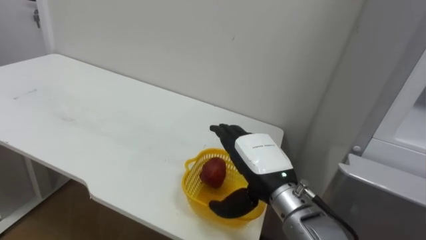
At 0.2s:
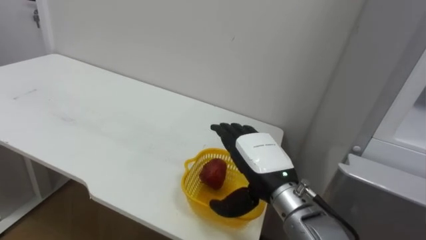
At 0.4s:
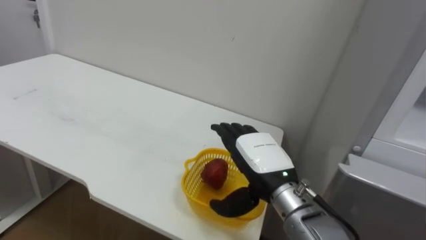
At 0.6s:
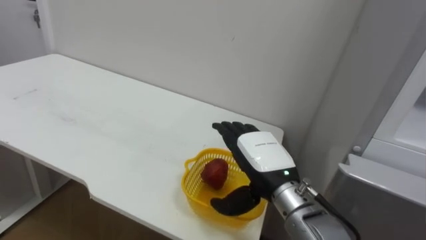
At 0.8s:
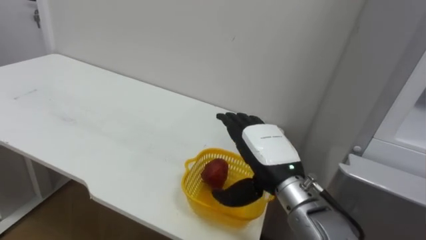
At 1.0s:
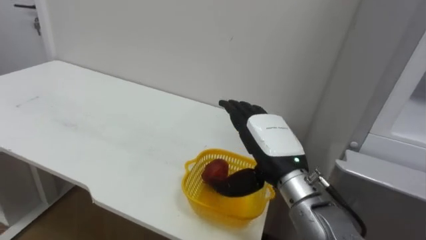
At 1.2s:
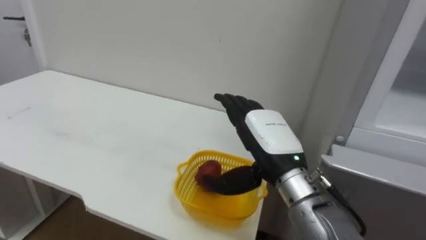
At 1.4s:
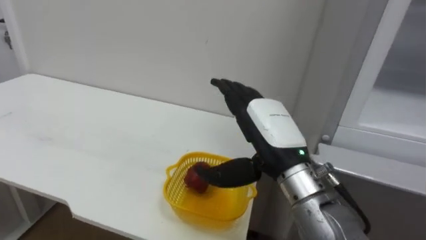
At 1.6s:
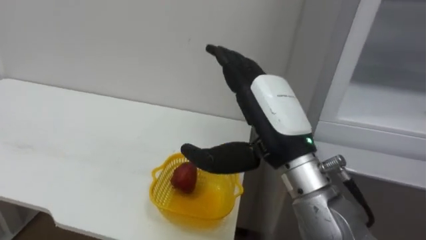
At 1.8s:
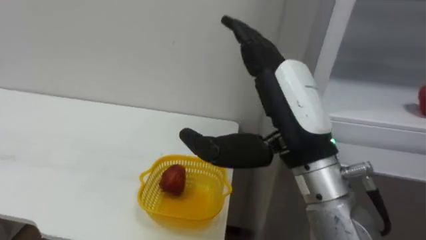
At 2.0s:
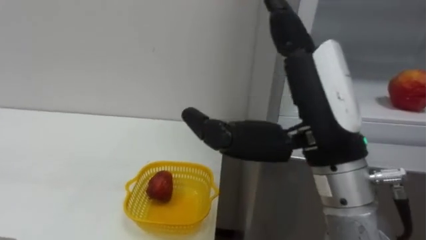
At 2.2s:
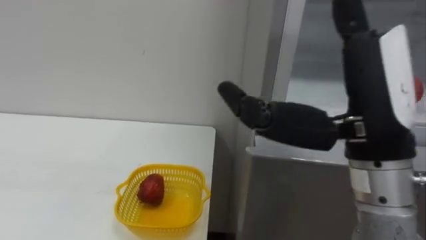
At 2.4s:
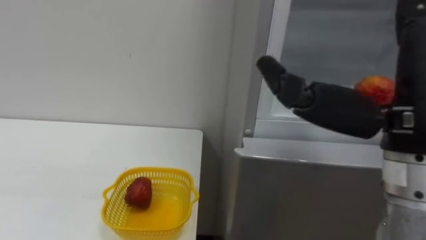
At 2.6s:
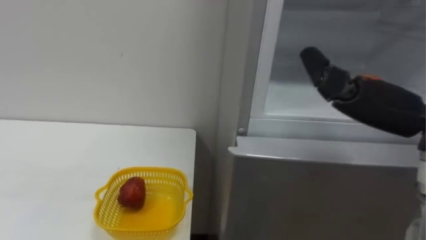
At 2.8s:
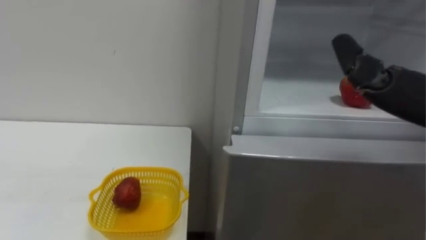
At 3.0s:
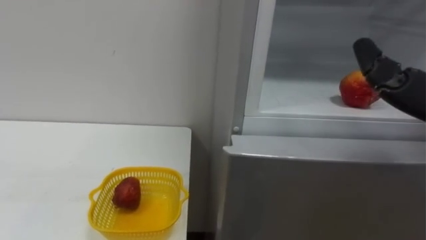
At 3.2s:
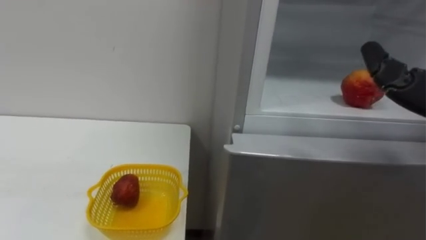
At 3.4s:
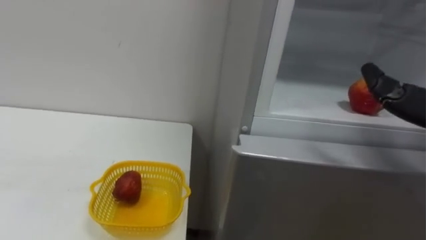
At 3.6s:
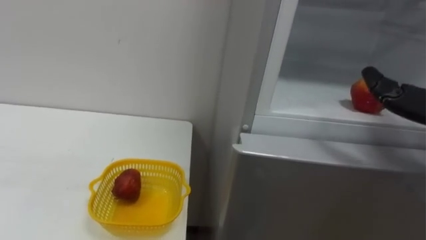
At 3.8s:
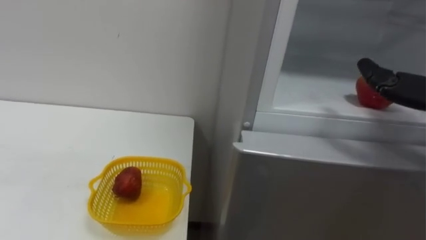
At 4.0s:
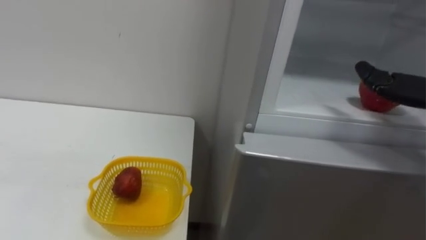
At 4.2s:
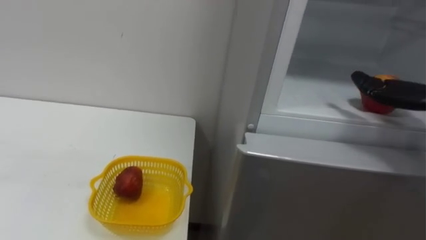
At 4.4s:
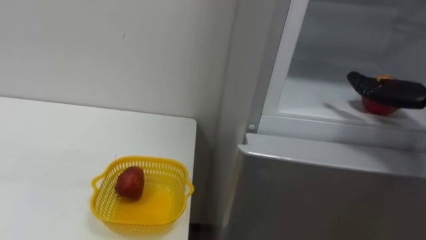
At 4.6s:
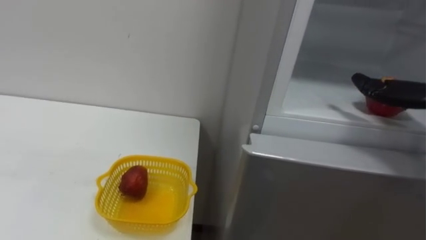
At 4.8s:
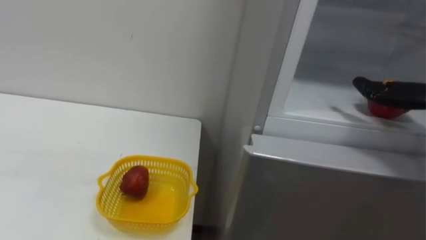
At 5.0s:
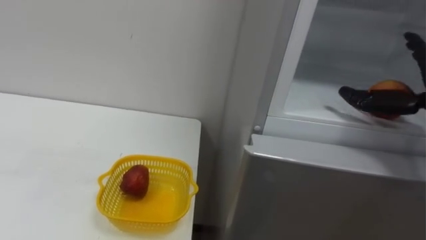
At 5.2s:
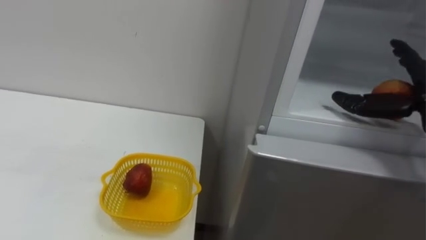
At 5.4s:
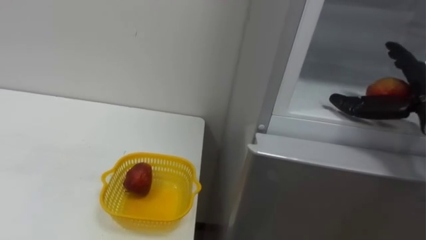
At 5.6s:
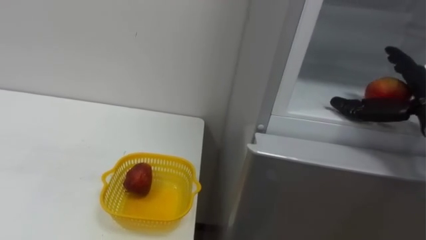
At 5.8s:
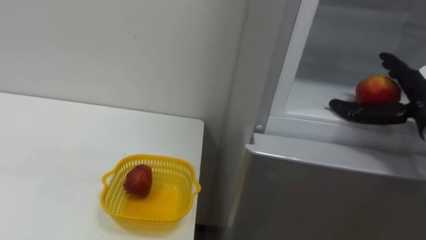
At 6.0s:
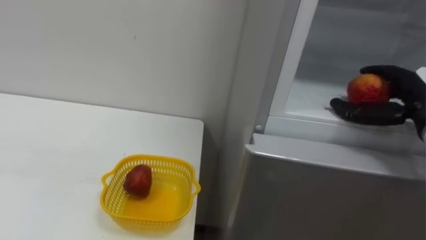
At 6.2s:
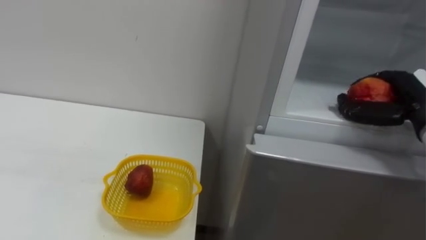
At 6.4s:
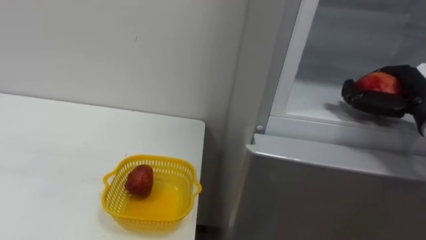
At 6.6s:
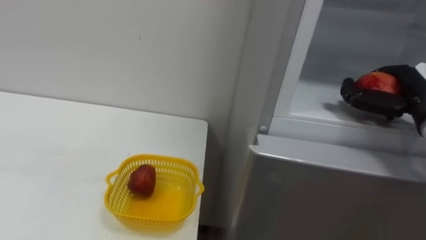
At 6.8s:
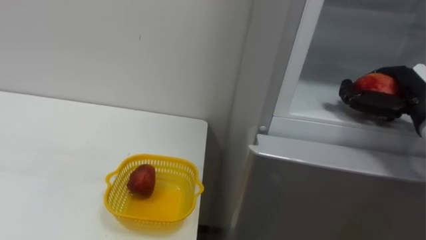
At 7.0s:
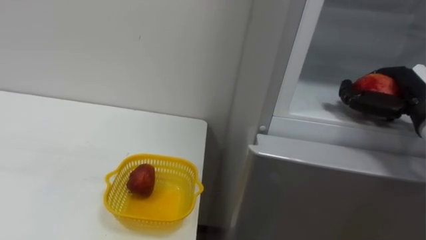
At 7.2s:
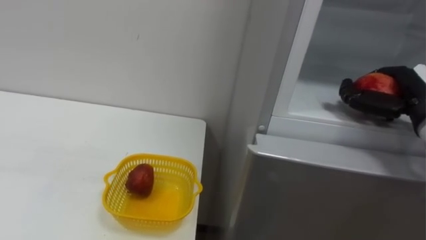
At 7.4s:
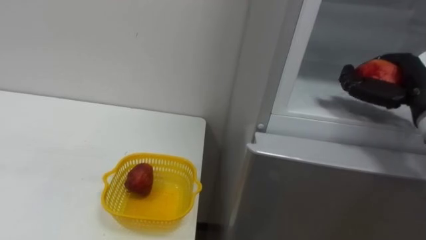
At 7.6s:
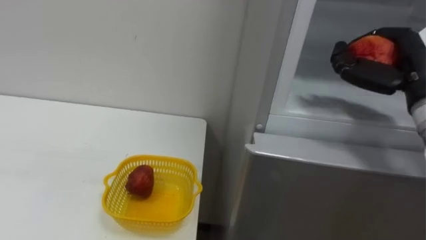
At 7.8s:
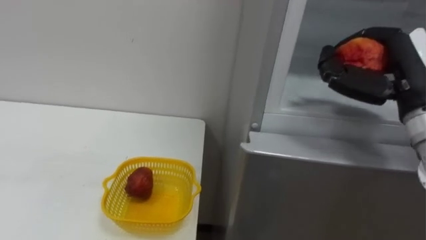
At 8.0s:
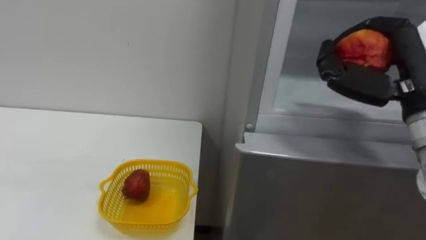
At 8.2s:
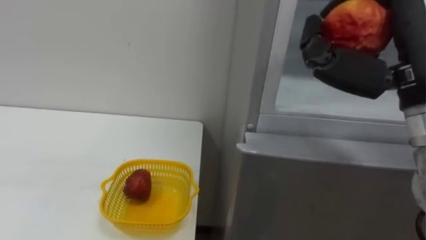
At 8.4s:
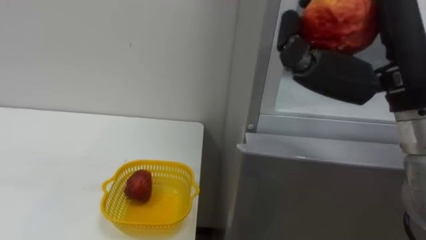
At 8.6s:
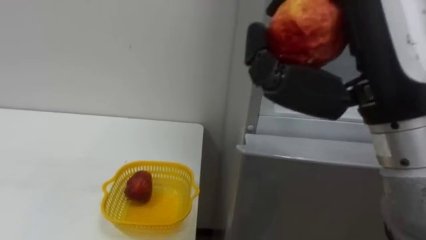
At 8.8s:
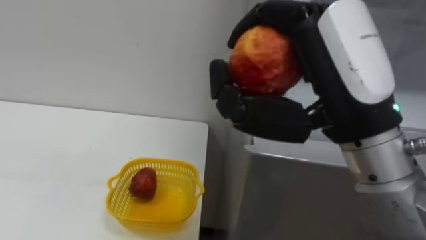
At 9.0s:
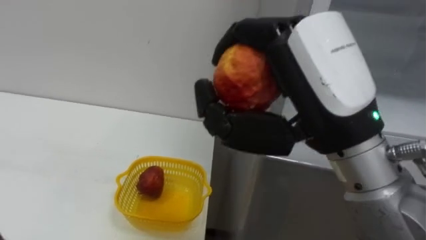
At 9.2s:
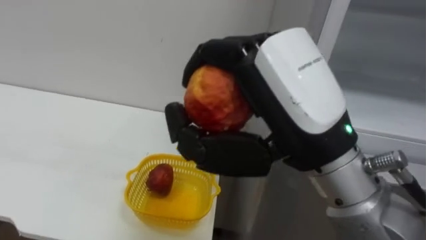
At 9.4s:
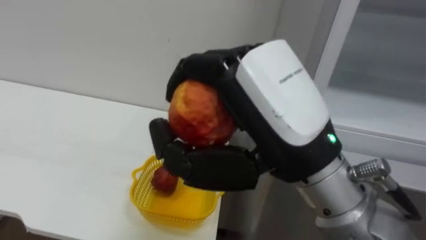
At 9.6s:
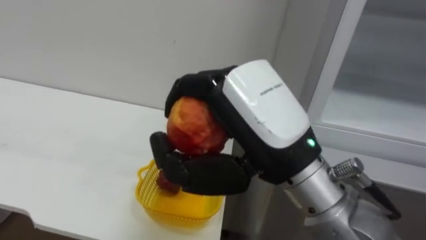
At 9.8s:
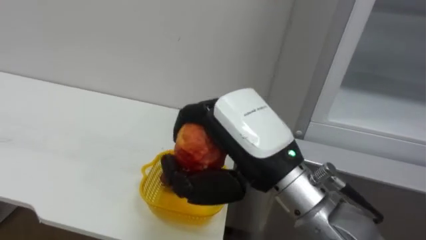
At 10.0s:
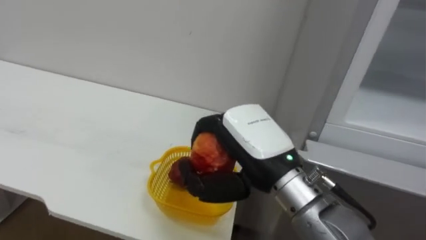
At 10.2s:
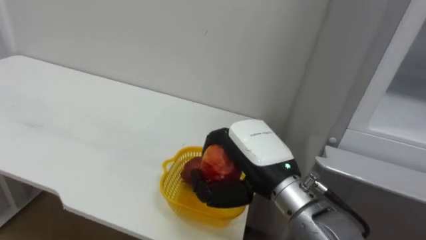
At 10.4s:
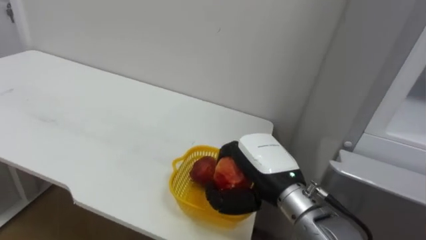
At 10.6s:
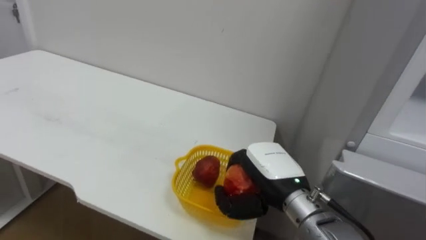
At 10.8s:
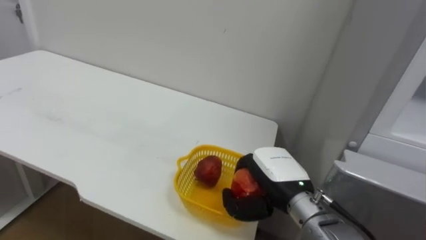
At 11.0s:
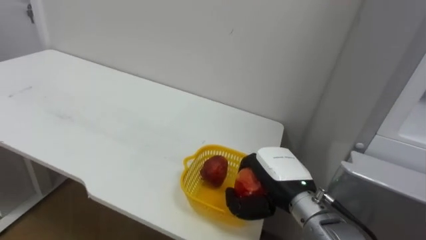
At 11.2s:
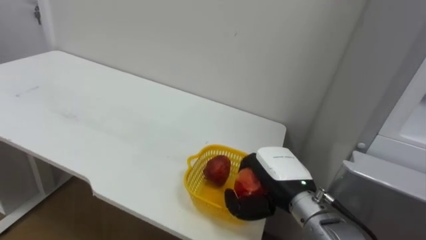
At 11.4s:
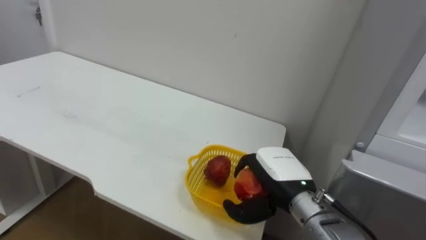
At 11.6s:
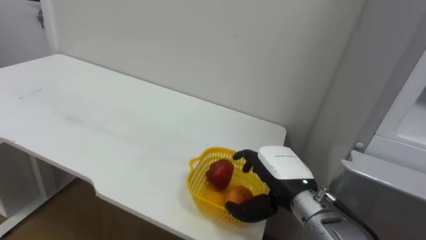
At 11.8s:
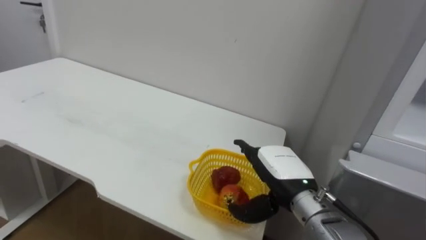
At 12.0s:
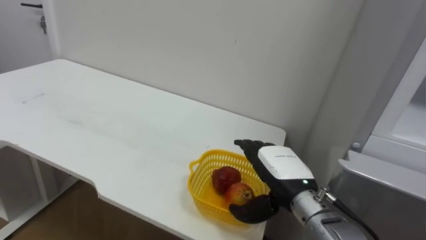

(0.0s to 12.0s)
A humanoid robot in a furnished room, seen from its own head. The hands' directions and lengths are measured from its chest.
Task of the whole recording: Open the refrigerator door, take out the apple and the pomegranate, place them in the fruit basket on the left, and close the refrigerator door.
0.0s - 1.6s: The right hand heads upward, covering some 10 cm.
6.0s - 7.6s: The right hand heads upward, covering roughly 5 cm, and closes.
7.6s - 9.0s: The right hand moves to the left and backward, approximately 20 cm.
9.0s - 10.4s: The right hand travels downward and forward by about 20 cm.
10.4s - 12.0s: The right hand changes place by approximately 5 cm, and opens.

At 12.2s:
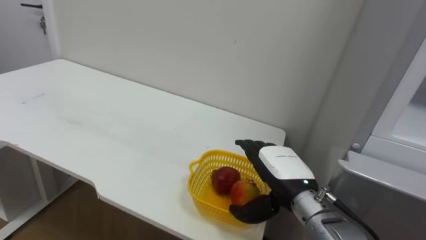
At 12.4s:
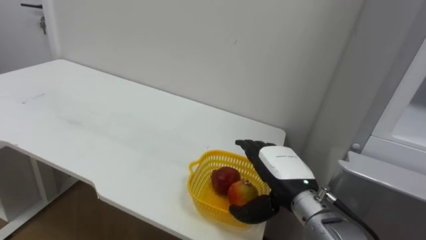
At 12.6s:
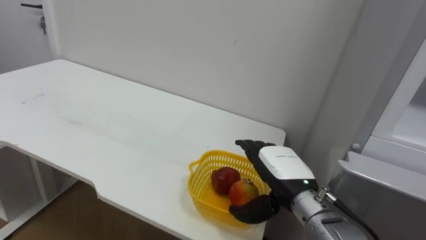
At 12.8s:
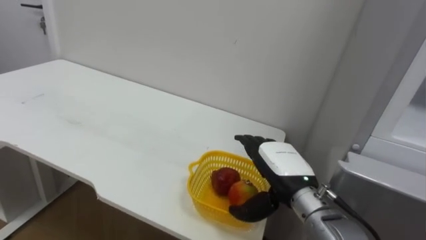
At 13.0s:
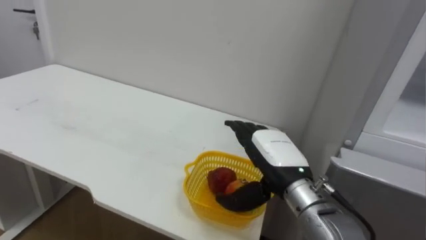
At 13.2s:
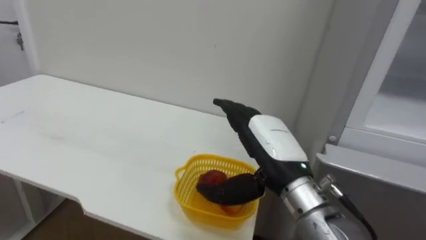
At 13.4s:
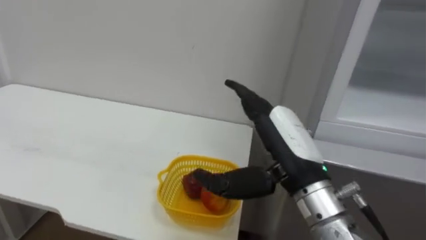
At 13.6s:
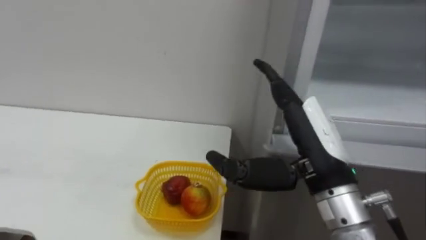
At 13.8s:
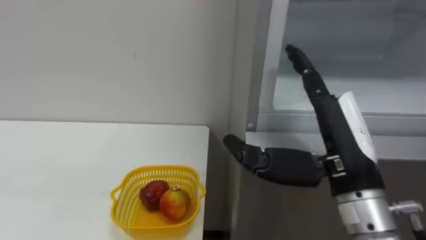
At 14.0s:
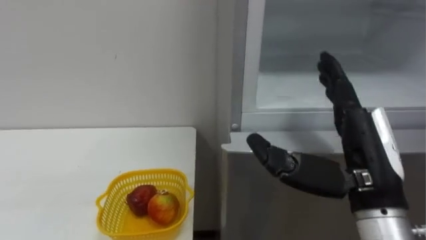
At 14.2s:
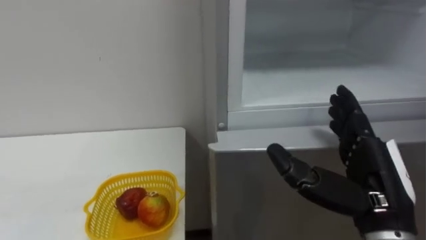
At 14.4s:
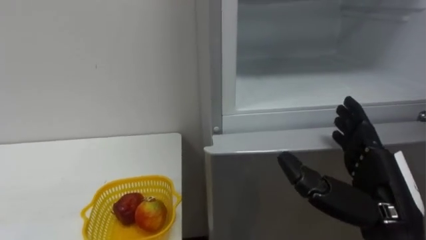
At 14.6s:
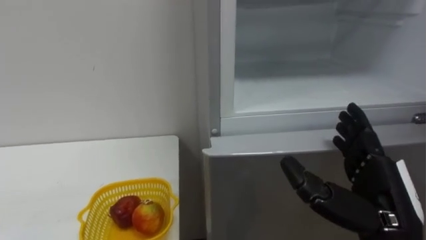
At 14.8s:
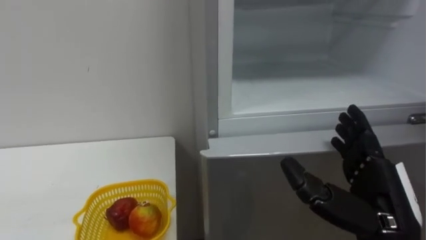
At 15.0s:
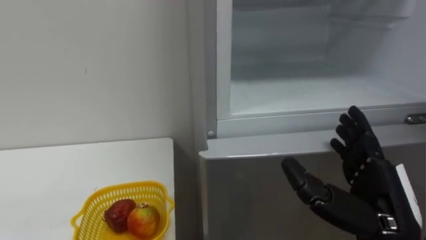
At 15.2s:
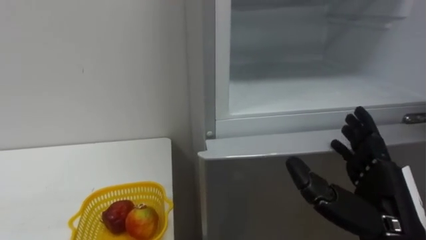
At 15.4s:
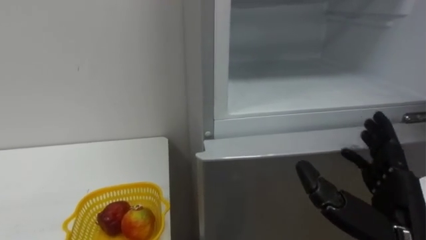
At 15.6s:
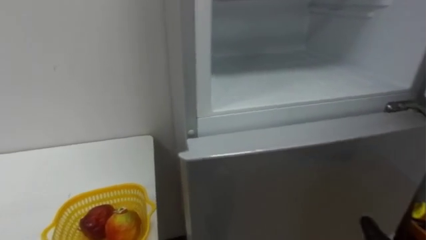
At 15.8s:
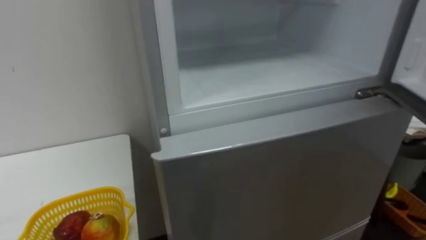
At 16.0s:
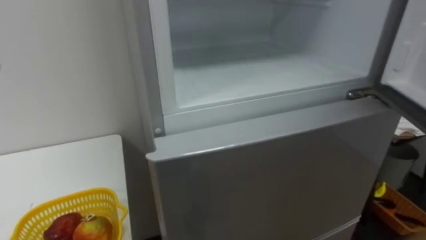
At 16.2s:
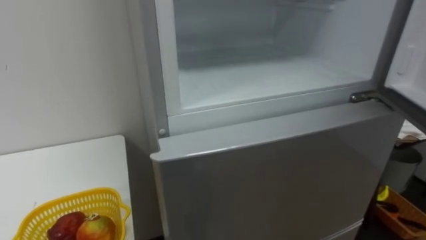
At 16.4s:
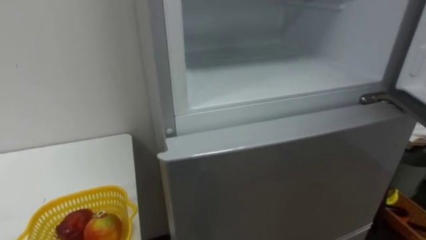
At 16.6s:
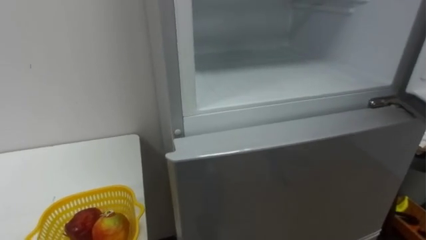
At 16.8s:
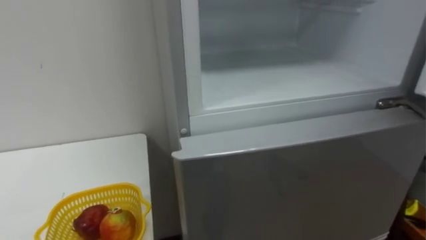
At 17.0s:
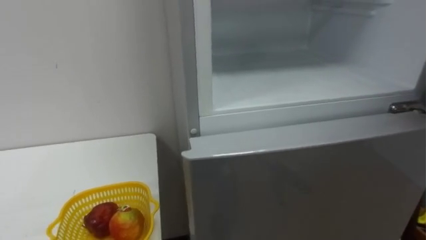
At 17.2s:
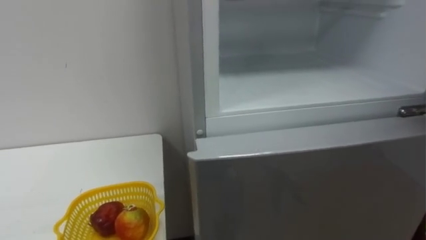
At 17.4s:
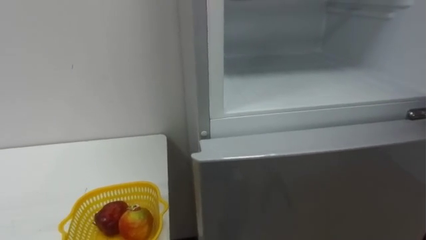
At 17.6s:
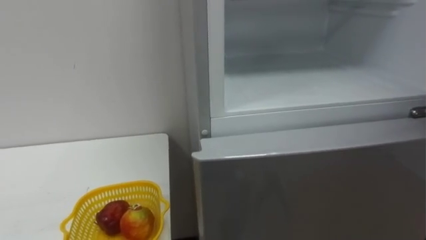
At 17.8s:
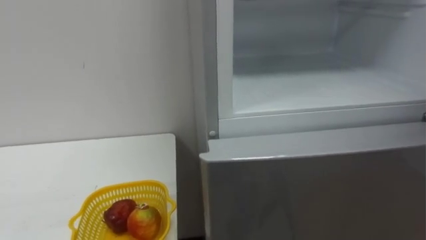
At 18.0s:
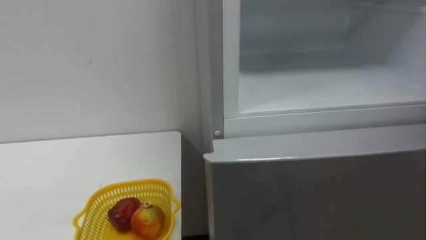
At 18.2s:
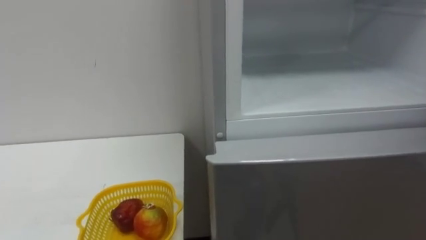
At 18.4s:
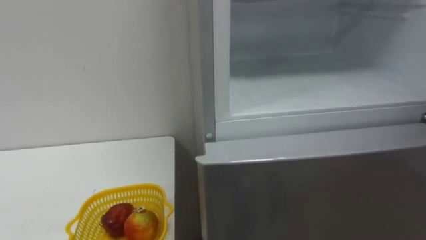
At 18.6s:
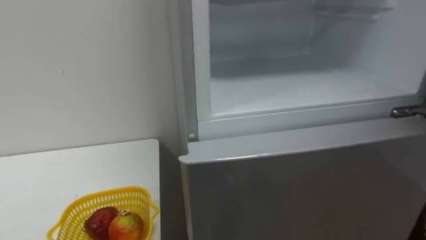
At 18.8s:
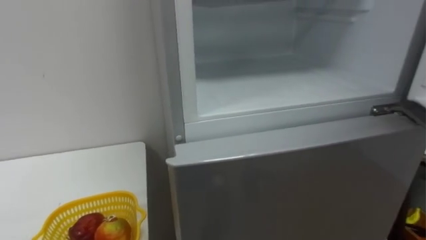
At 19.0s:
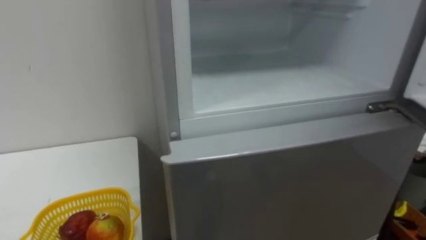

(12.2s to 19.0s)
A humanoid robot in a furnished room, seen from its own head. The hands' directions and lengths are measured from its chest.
Task of the whole recording: Open the refrigerator door, take out the apple and the pomegranate, place them in the fruit basket on the left, and close the refrigerator door.
12.2s - 13.6s: The right hand travels upward and backward by about 15 cm.
13.6s - 15.0s: The right hand moves to the right and downward, roughly 10 cm.
